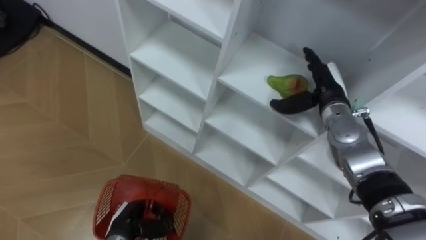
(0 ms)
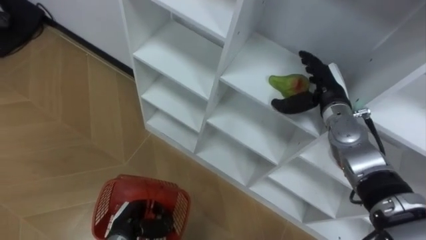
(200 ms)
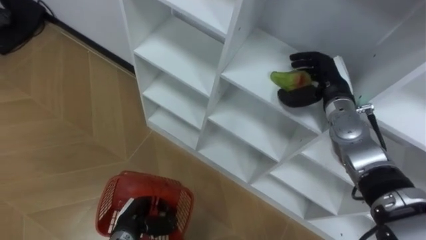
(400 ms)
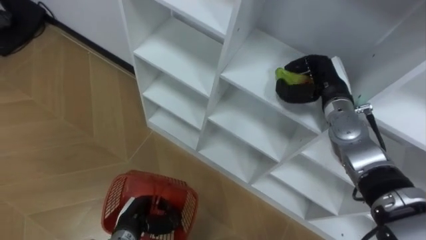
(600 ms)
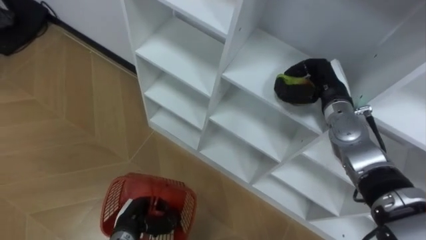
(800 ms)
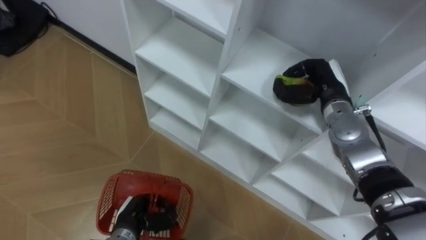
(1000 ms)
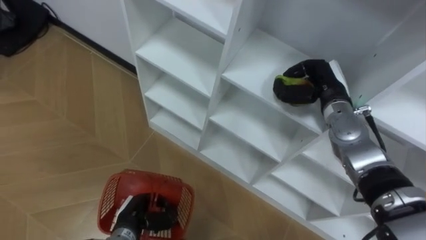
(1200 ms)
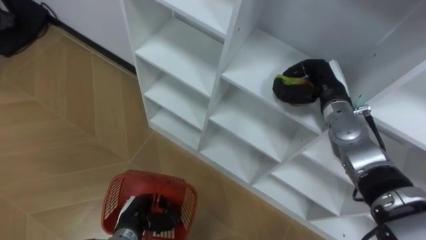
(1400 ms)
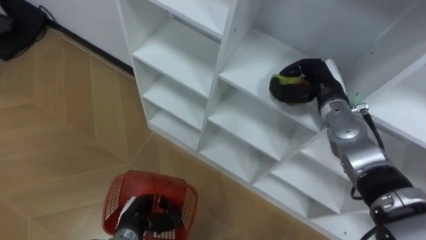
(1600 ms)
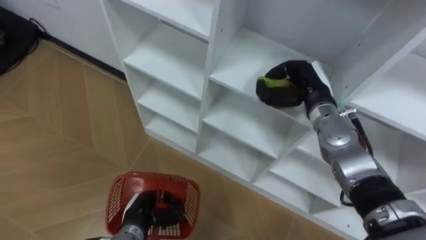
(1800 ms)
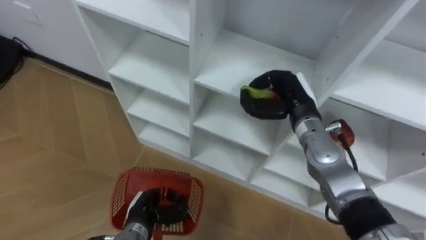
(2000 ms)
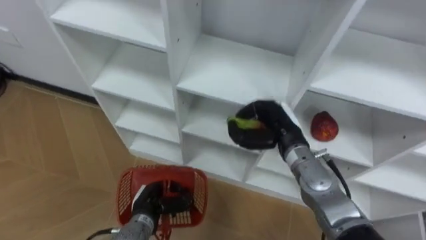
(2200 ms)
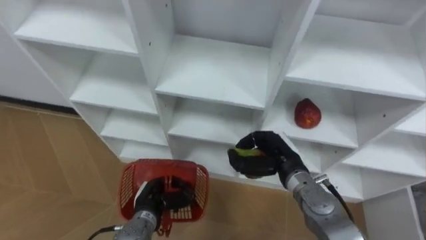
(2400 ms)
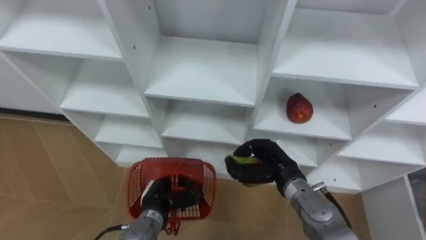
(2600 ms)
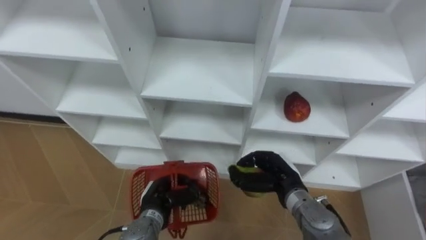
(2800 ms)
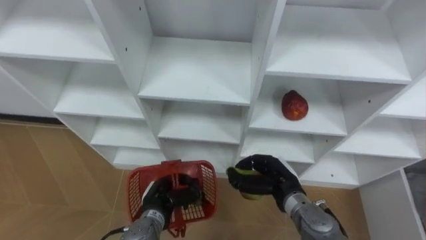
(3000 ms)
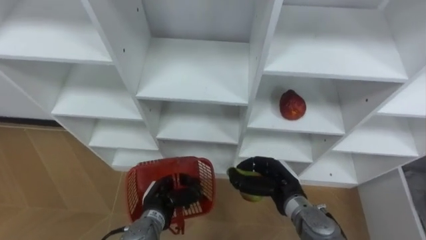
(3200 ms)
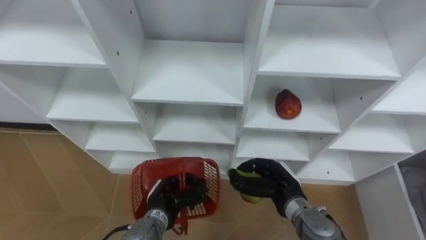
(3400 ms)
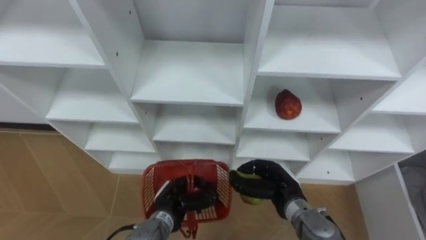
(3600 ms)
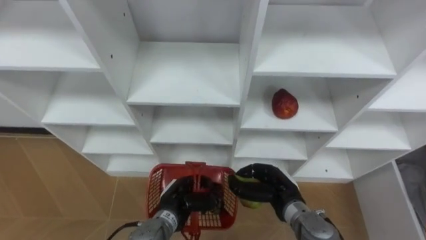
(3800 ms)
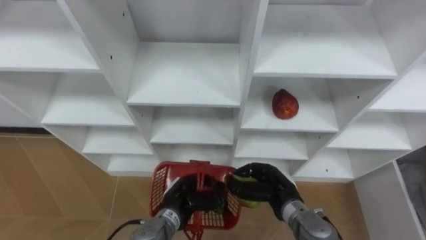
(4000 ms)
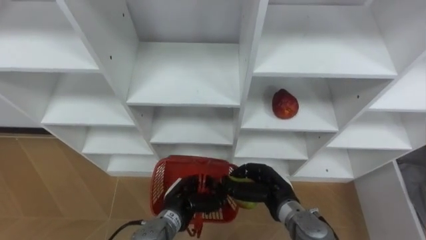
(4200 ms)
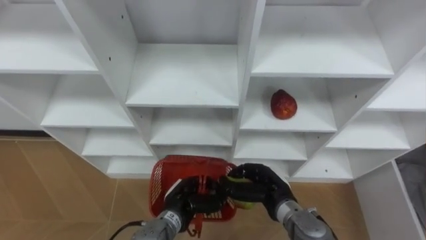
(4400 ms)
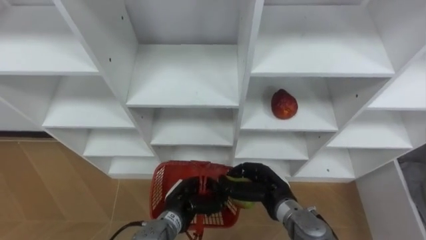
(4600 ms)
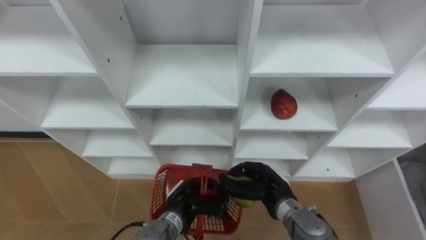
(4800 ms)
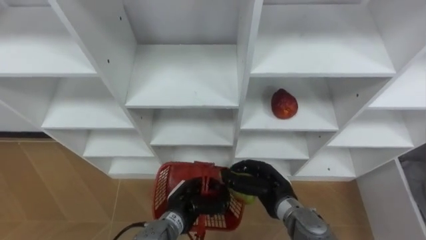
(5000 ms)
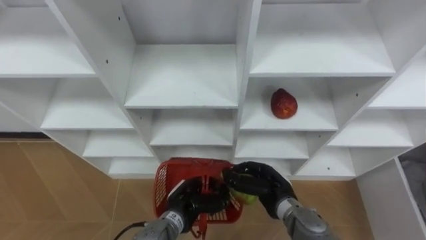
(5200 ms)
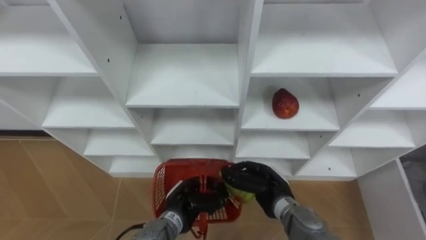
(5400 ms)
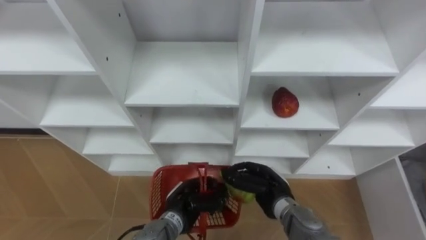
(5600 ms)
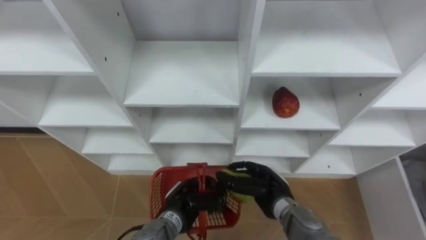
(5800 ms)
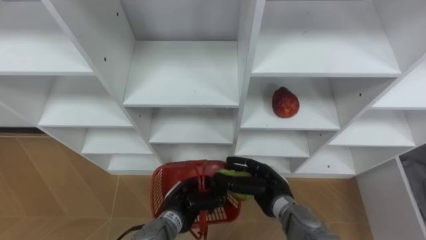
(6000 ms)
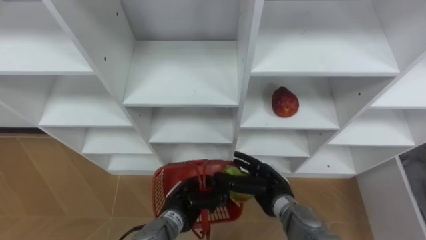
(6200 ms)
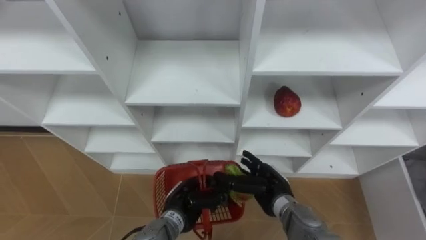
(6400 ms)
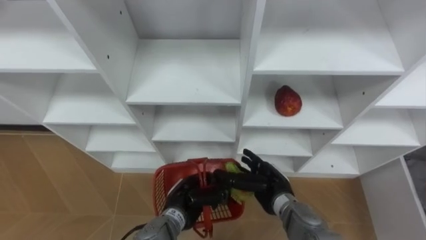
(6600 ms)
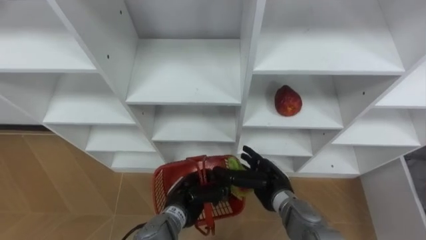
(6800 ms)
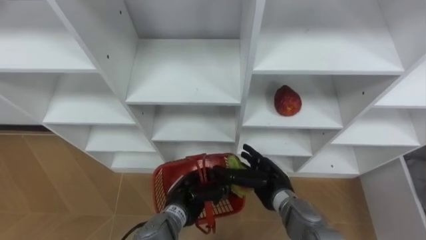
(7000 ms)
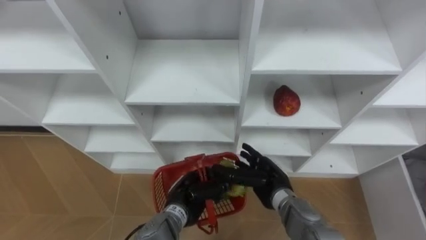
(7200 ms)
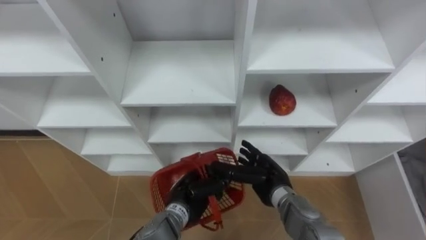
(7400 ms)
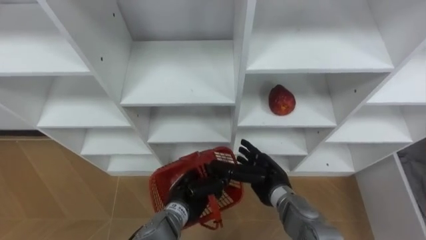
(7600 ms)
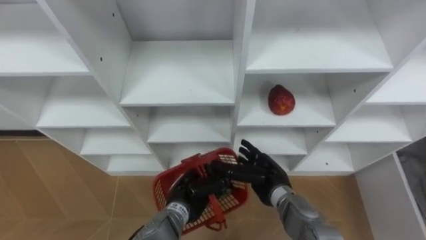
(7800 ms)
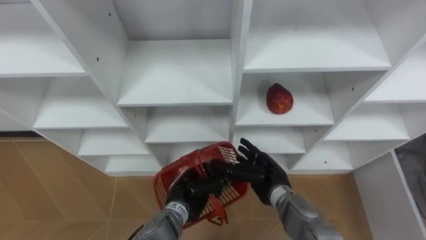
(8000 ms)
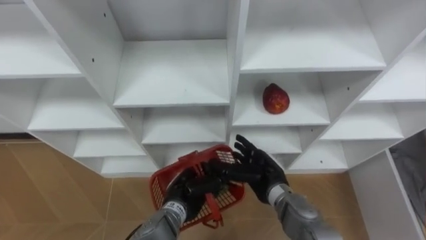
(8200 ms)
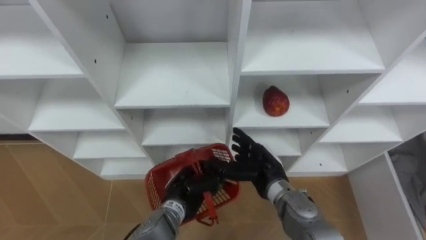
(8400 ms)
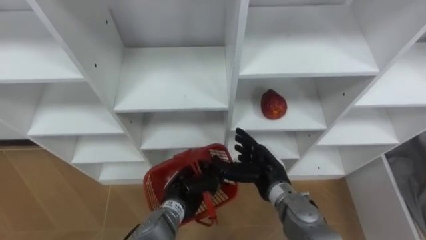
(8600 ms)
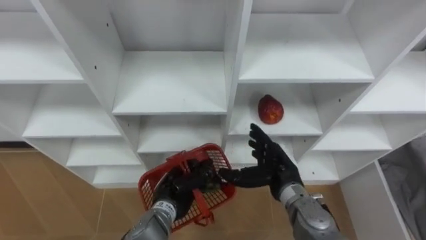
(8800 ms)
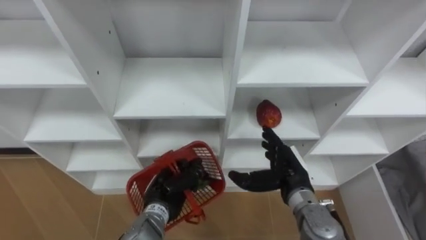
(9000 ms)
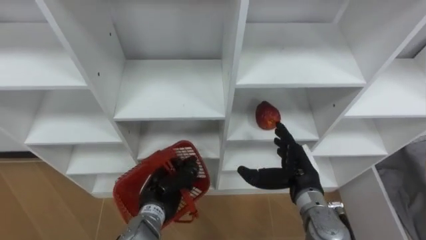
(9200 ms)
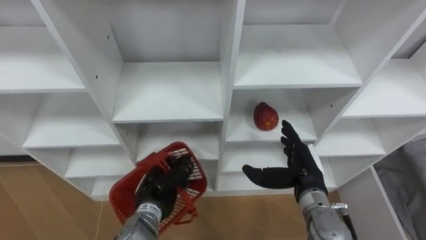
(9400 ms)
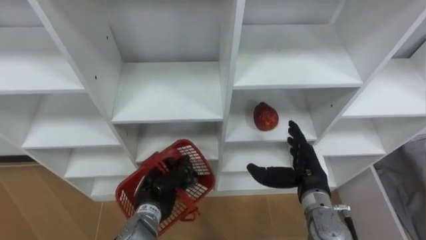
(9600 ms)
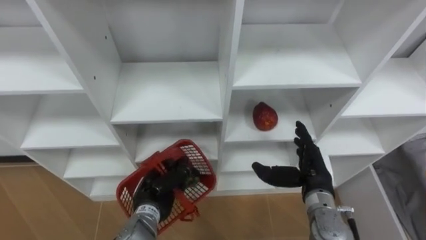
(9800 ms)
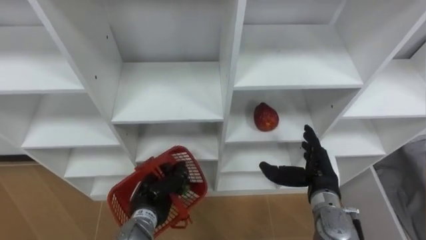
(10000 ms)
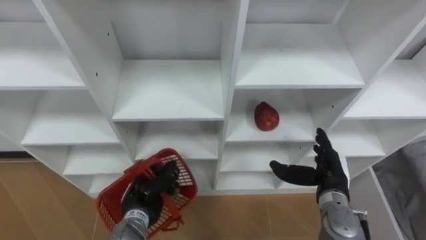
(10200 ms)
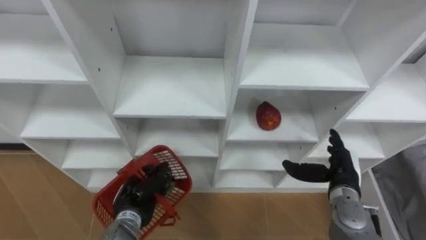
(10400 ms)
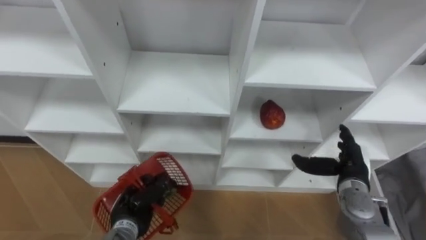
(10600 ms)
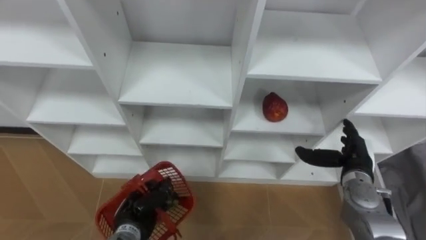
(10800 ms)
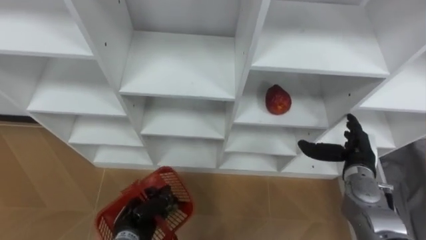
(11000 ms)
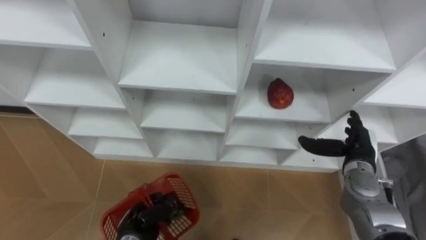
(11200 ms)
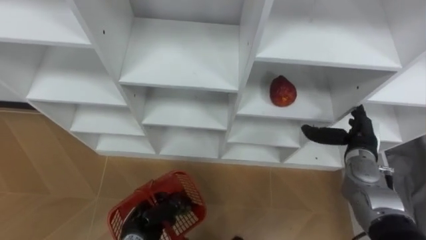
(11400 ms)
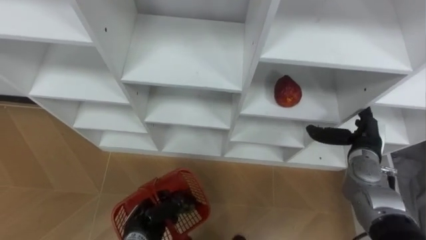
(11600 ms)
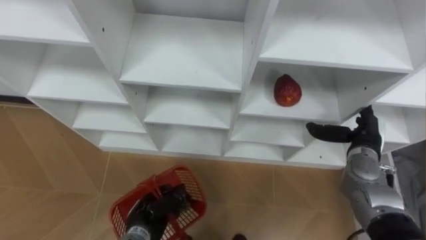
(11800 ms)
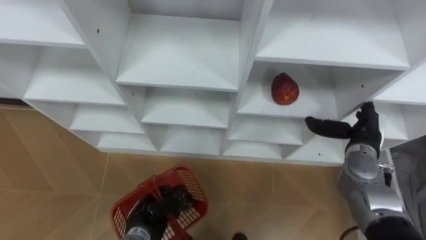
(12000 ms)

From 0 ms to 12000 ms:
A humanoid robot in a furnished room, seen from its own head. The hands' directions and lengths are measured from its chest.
Task of the whole recording: Hold the basket and collect the fruits from 3 different cells of the closet into it.
From 0 ms to 1600 ms: The right hand closes its fingers.
From 1600 ms to 3000 ms: The left hand changes place by roughly 5 cm, while the right hand moves backward, downward and to the left, about 20 cm.
From 3000 ms to 4400 ms: The left hand goes roughly 5 cm to the right.
From 4400 ms to 6000 ms: The right hand opens up.
From 6000 ms to 7600 ms: The hands move only a little.
From 7600 ms to 9000 ms: The right hand changes place by some 5 cm. The left hand shifts some 5 cm to the left.
From 9000 ms to 10400 ms: The left hand moves to the left, roughly 5 cm, while the right hand is displaced to the right by about 10 cm.
From 10400 ms to 12000 ms: The right hand travels forward and upward by roughly 10 cm.

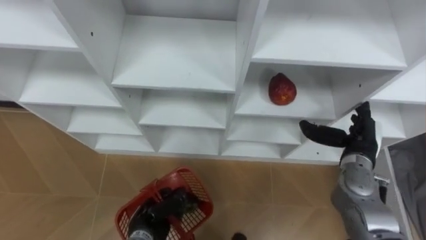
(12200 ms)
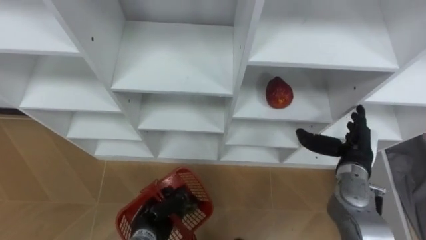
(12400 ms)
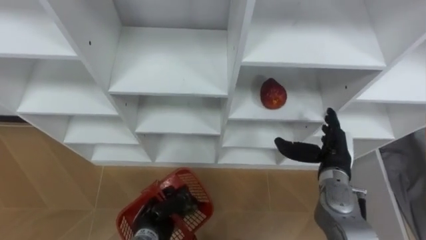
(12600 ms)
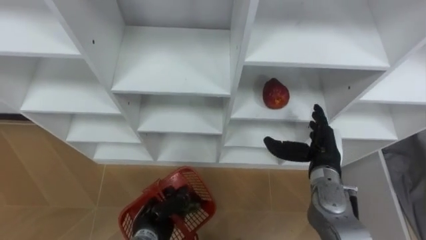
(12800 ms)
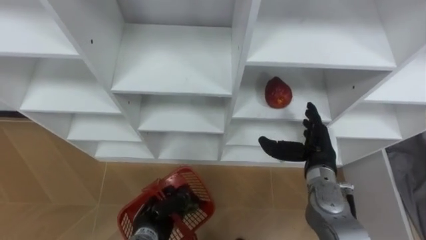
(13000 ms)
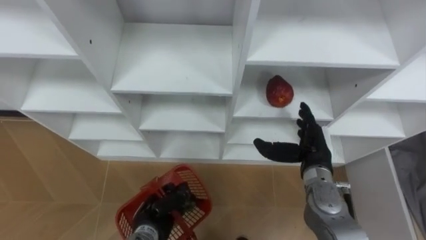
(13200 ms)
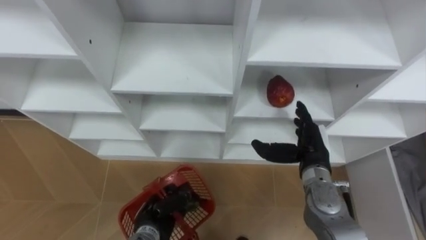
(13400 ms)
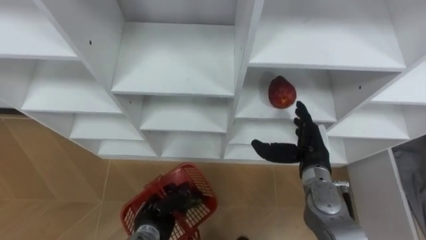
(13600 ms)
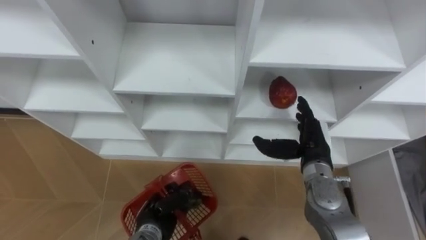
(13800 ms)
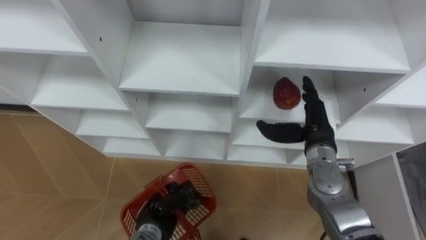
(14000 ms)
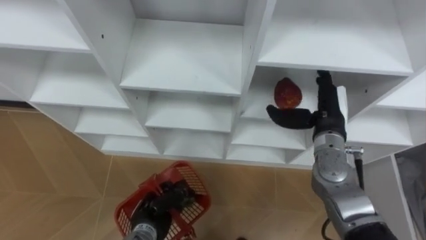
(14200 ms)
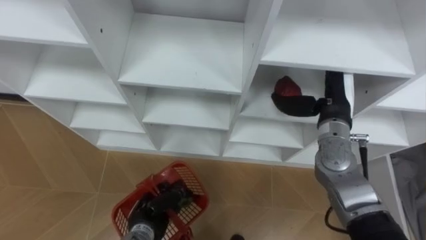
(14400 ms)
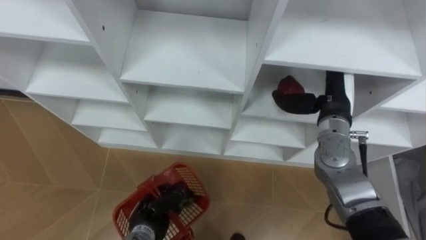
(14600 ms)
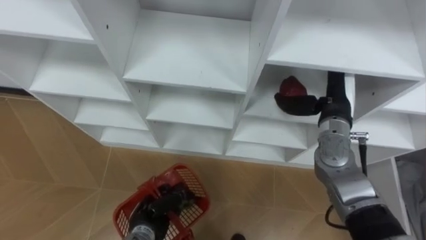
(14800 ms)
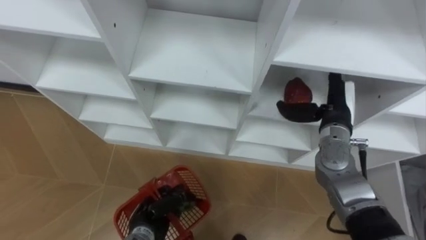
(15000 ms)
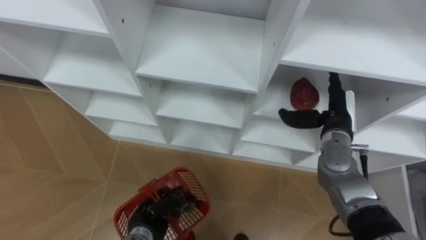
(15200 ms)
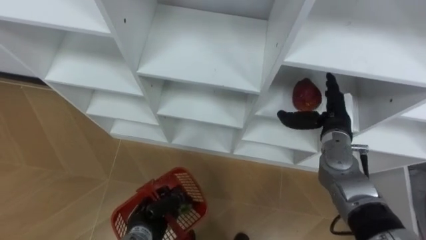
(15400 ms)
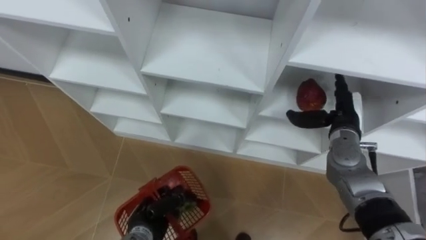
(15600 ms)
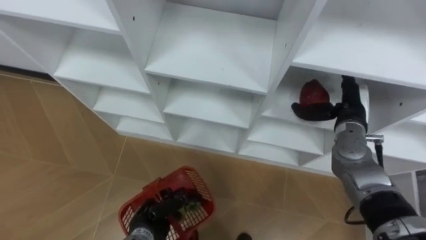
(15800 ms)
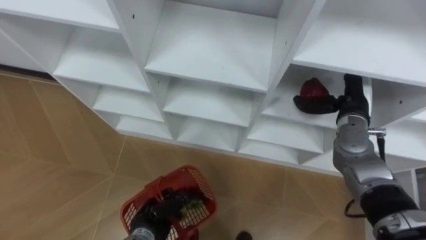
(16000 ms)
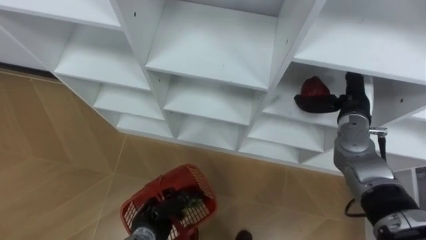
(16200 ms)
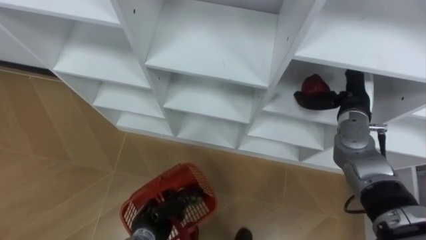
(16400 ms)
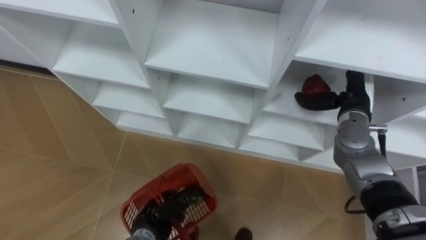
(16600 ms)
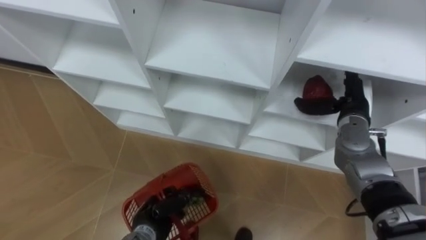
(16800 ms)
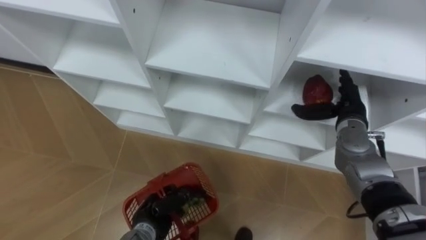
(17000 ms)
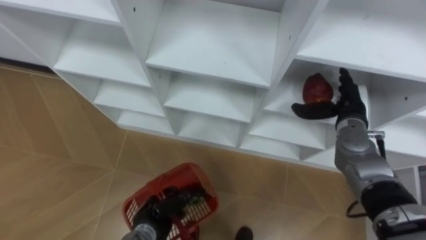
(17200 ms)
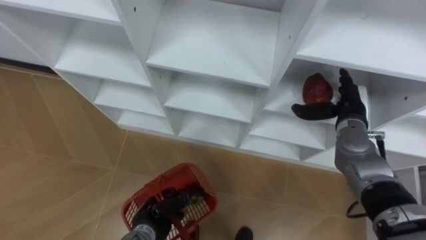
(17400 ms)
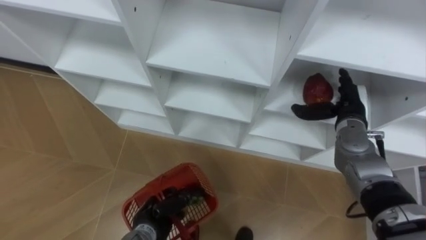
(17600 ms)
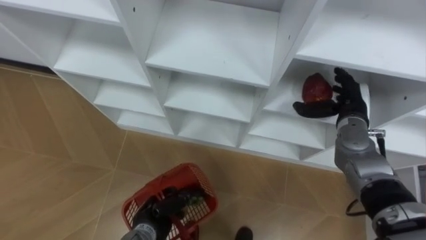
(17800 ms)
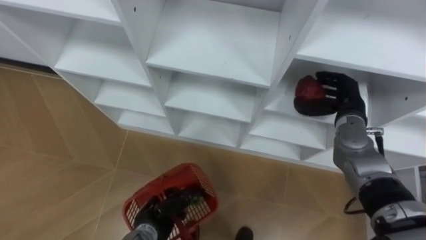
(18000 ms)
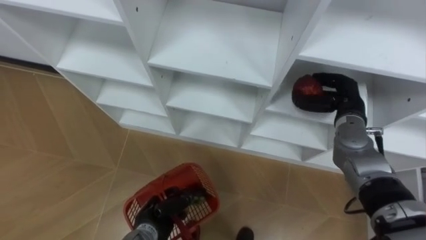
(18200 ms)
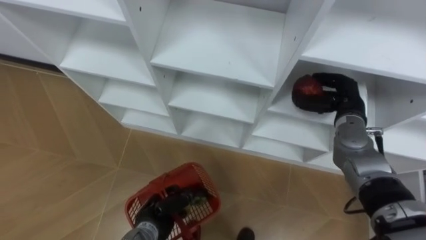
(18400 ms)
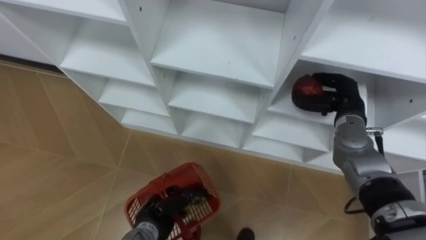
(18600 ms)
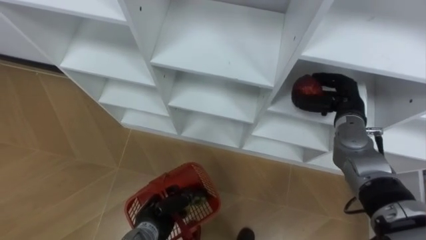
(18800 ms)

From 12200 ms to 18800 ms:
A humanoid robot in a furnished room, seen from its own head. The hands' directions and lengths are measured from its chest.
Task of the whole recording: Hold the basket and collect the fruits from 3 different cells of the closet into it.
From 12200 ms to 13800 ms: The right hand shifts approximately 10 cm to the left.
From 13800 ms to 15400 ms: The right hand moves forward, about 5 cm, and travels upward and back again, roughly 10 cm each way.
From 17200 ms to 18800 ms: The right hand closes its fingers.
